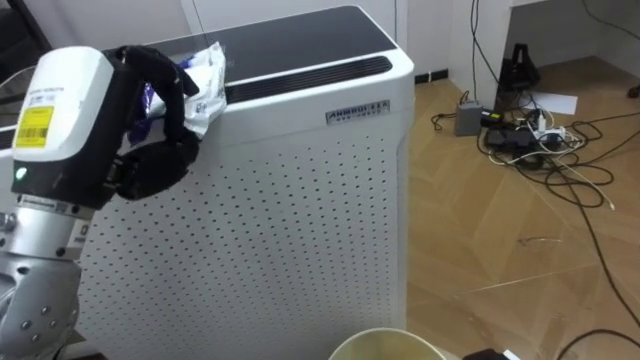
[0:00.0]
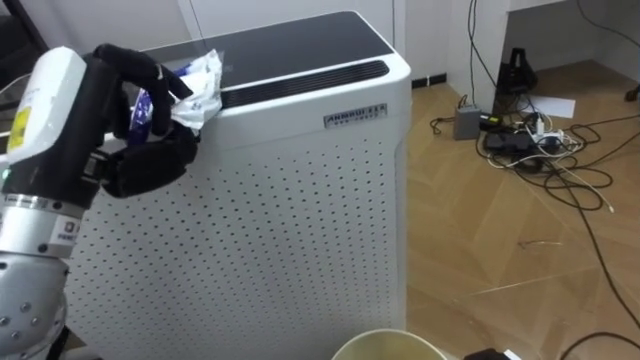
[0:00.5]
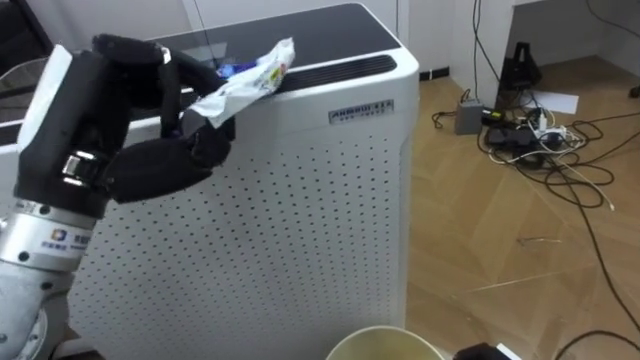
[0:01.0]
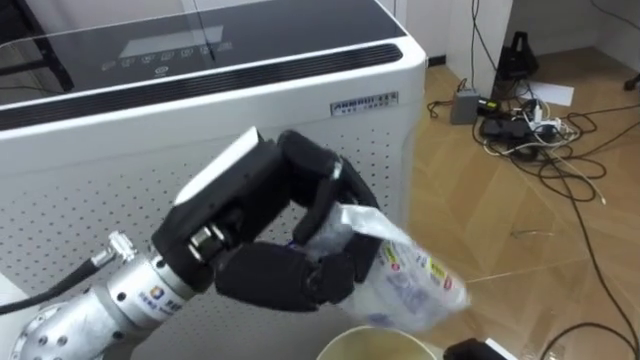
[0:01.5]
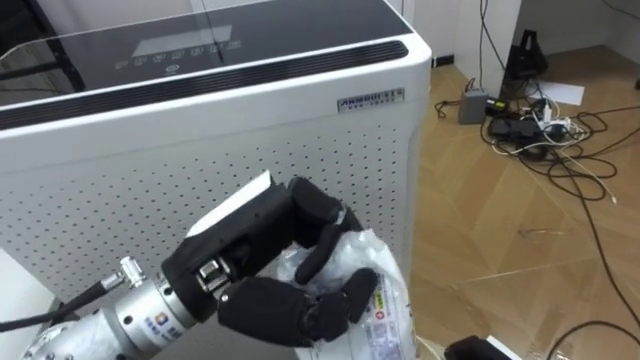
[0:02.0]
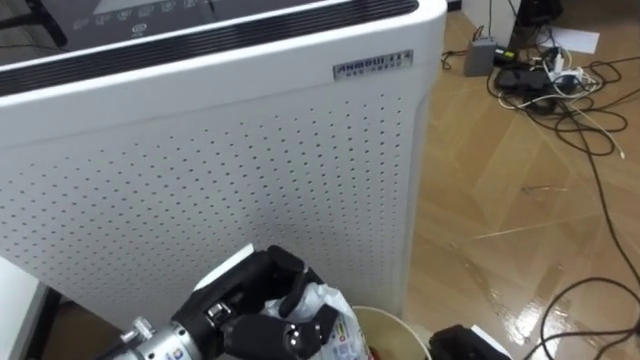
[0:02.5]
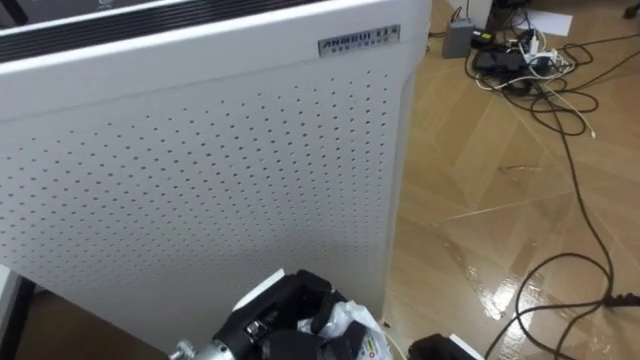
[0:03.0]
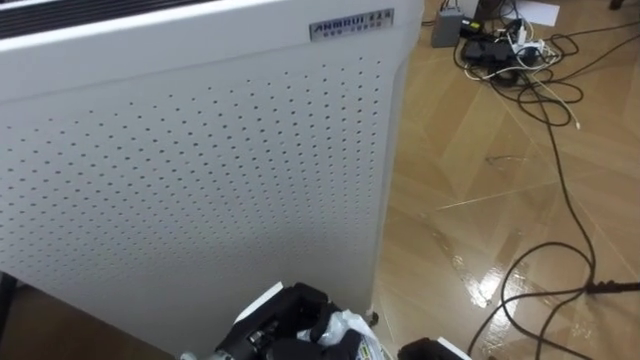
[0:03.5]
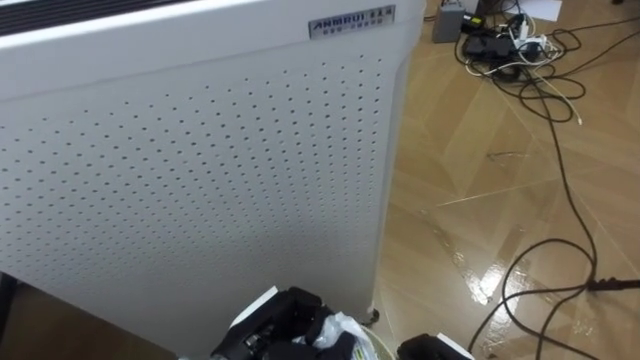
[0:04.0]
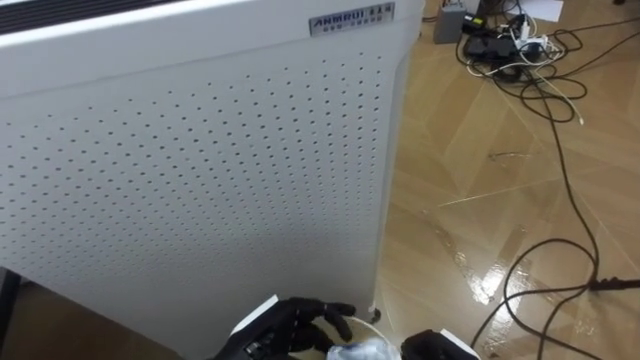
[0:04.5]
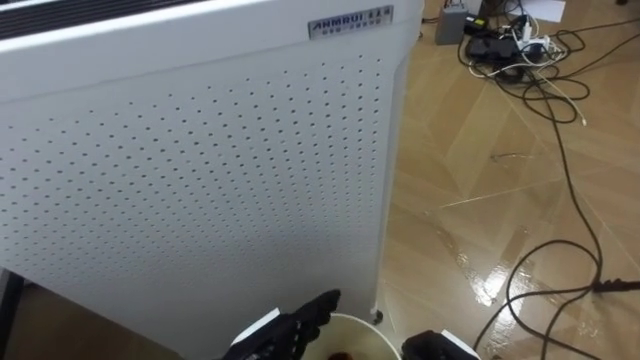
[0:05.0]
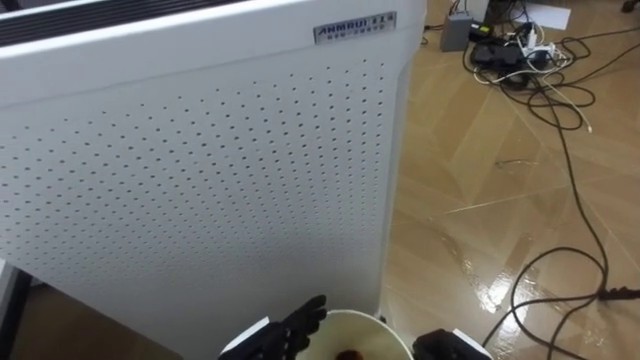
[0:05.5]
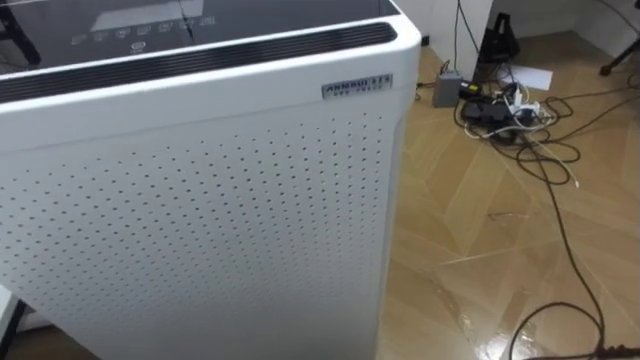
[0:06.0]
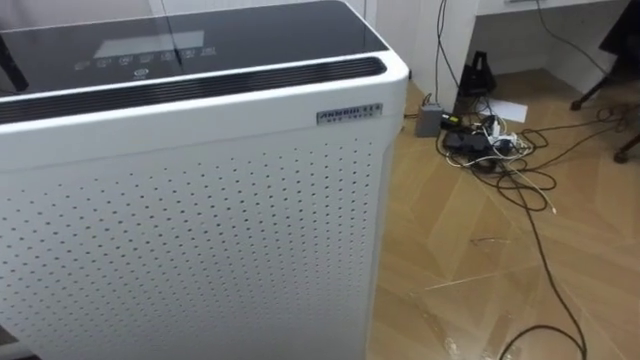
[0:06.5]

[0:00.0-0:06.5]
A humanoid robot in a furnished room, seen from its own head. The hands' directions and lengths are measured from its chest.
Task of the whole recording: Pick up the light blue package, the candy box, and the dark blue package separately, and put them into the trash can held in your right hand.
0:00.0 to 0:02.0: The left hand moves to the right and downward, about 15 cm.
0:02.0 to 0:04.5: The left hand moves downward, roughly 20 cm, and opens its fingers.

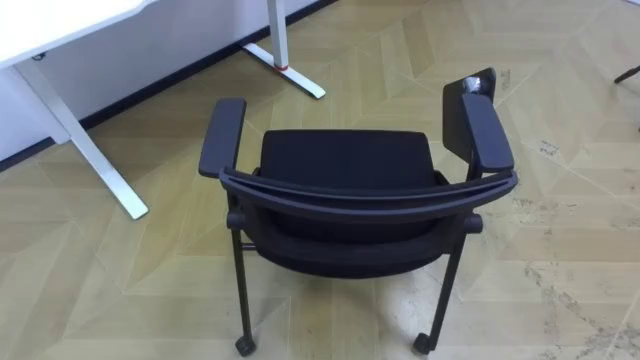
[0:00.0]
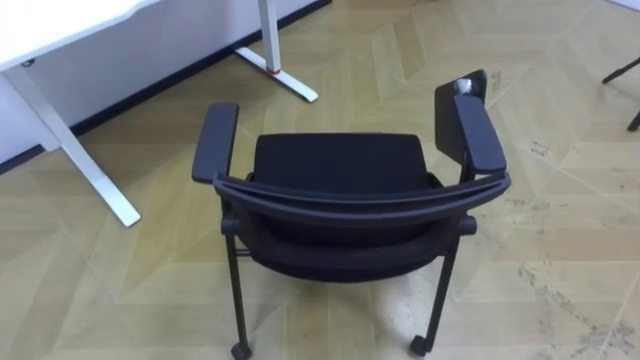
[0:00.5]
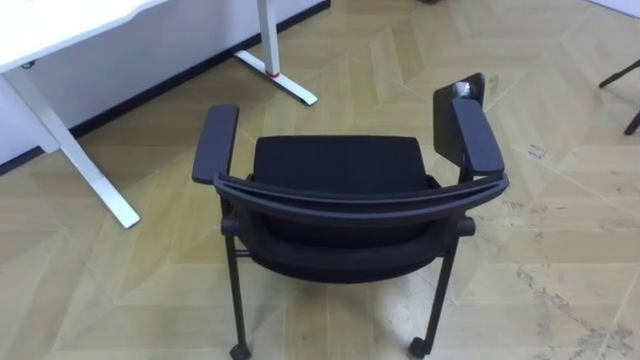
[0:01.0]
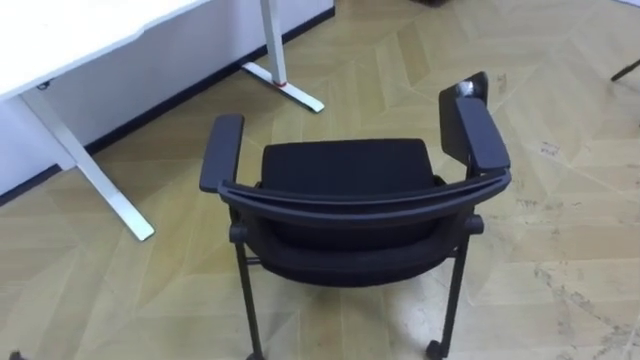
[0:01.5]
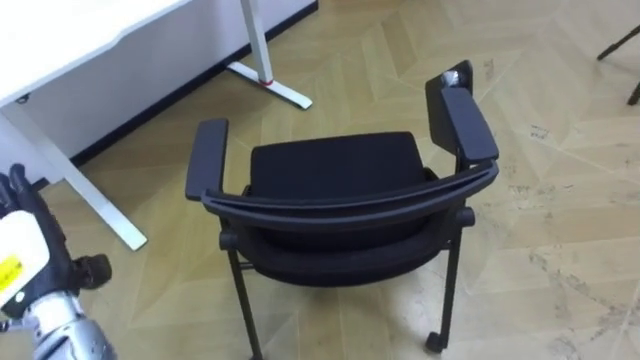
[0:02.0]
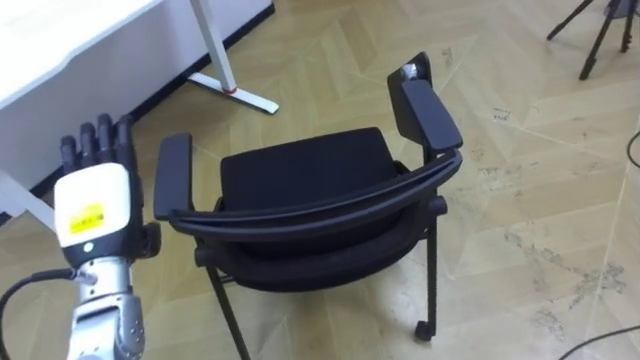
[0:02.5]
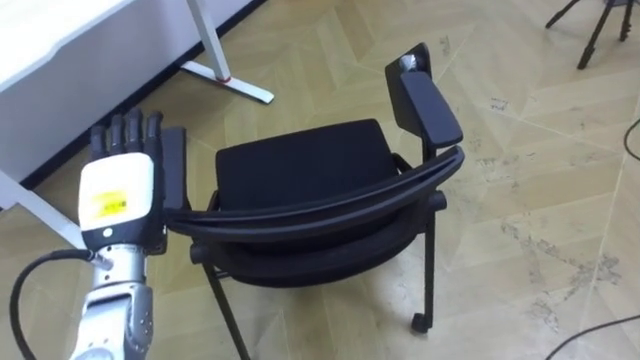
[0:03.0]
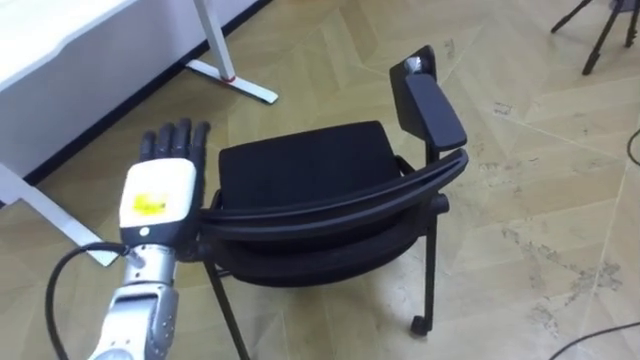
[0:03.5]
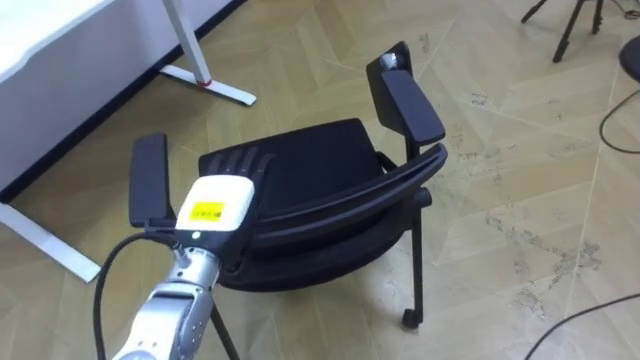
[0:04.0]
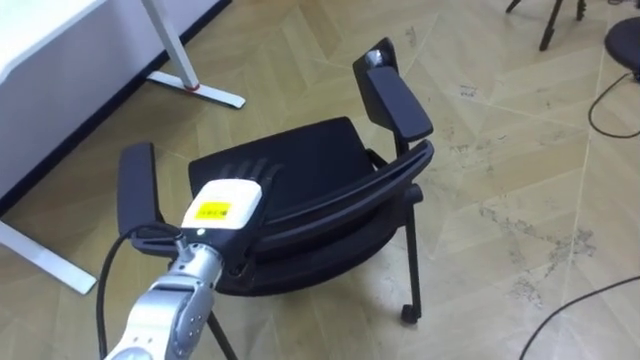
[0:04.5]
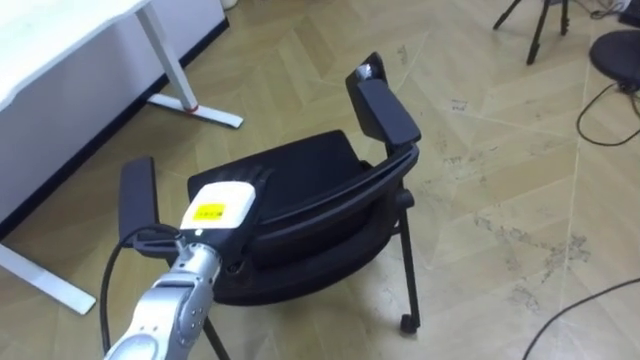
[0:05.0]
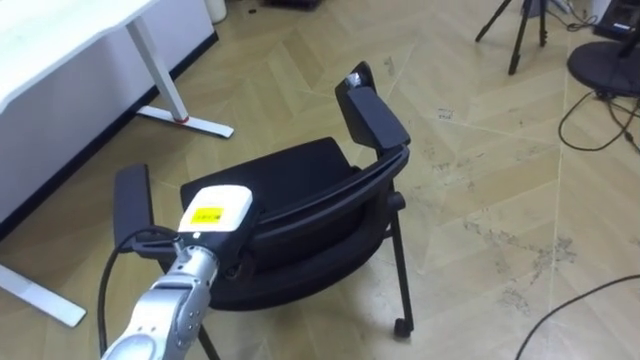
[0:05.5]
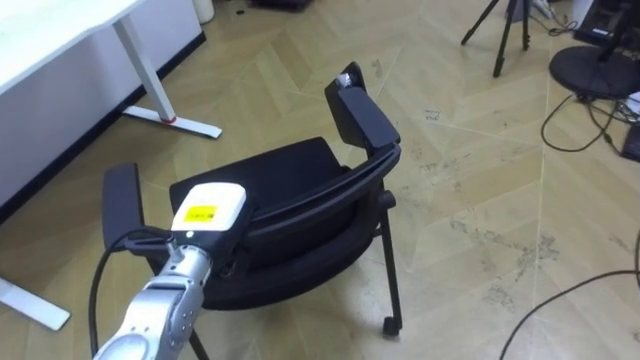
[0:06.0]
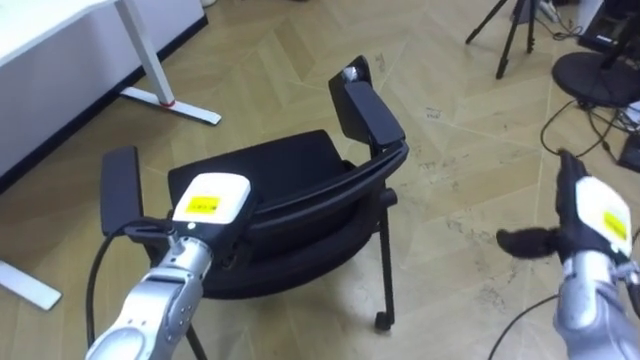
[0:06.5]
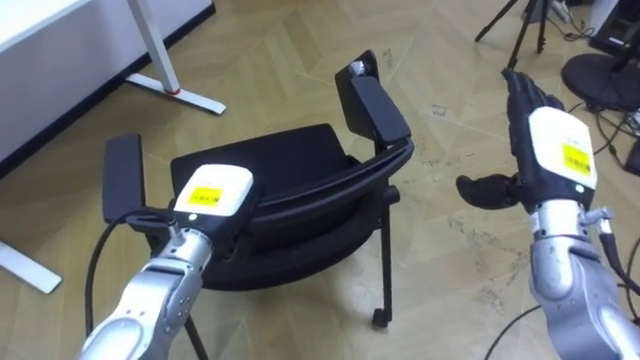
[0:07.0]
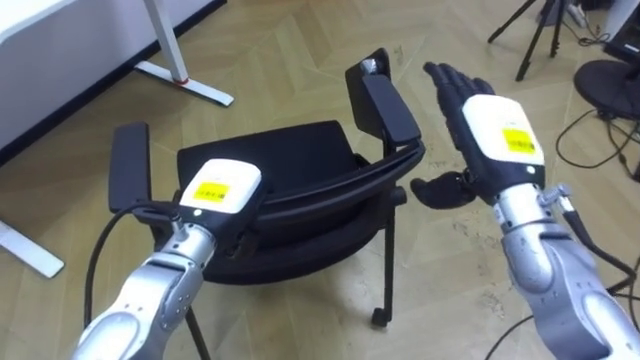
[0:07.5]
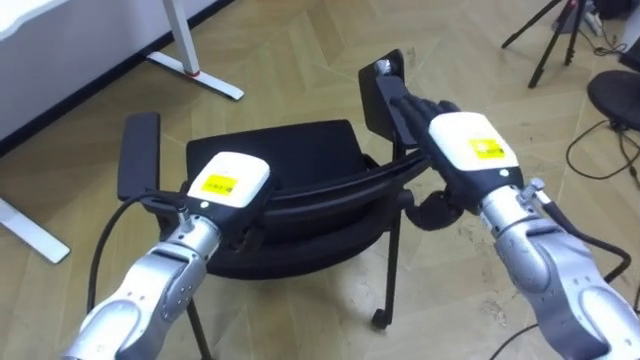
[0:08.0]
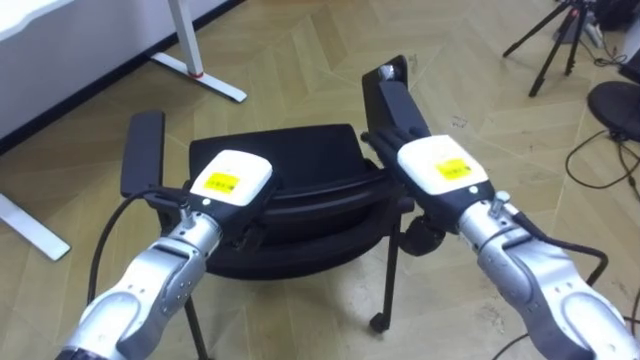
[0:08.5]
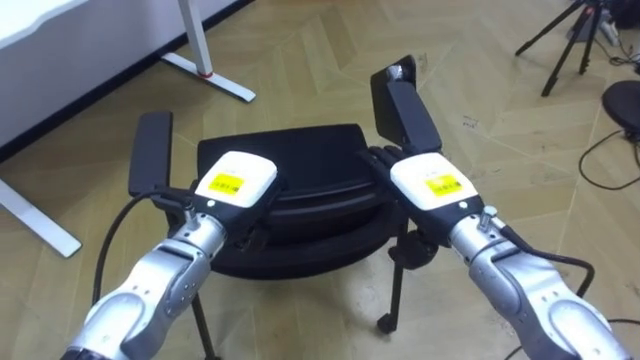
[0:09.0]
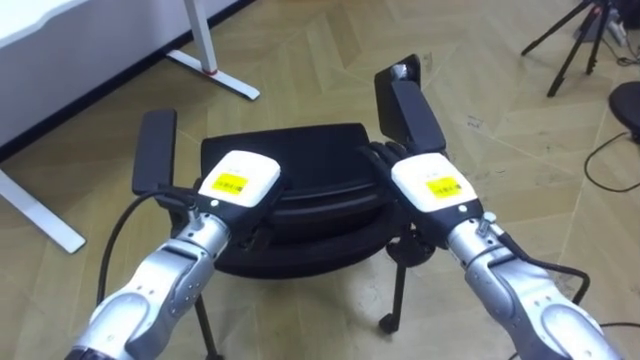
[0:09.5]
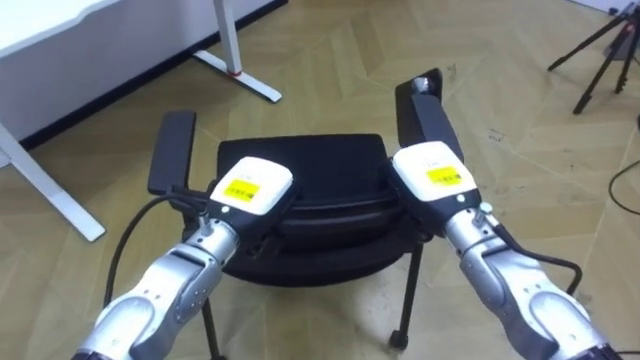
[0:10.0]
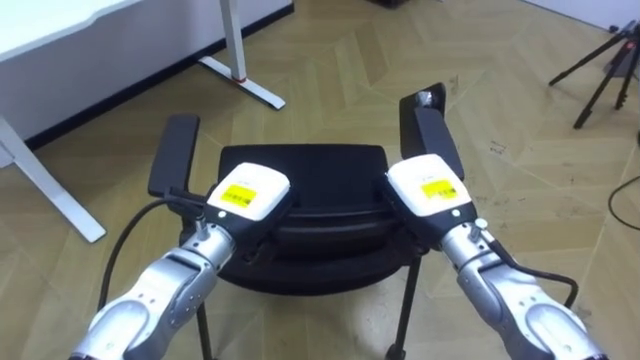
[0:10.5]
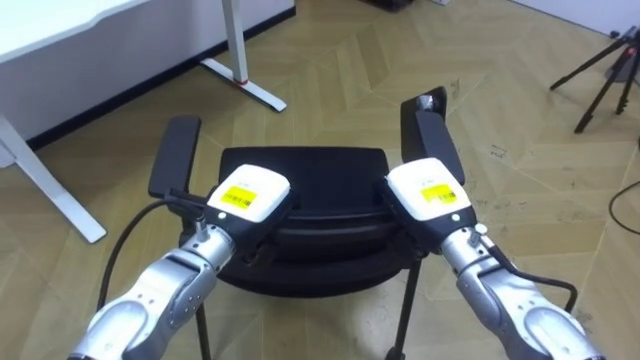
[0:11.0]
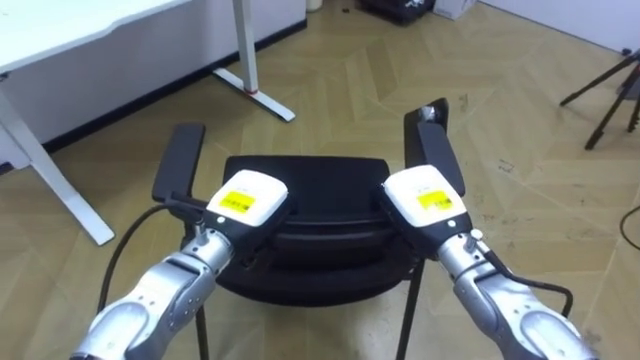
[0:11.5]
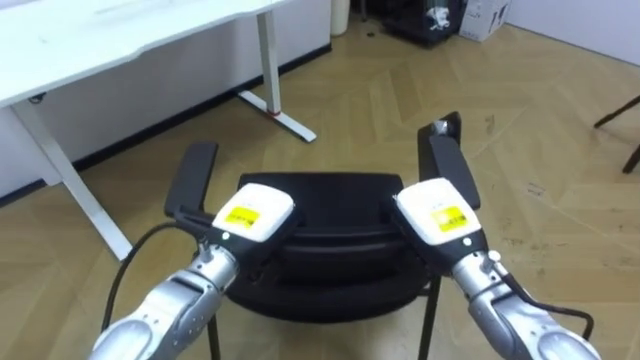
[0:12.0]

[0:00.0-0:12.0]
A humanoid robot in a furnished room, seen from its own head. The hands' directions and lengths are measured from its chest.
Task of the whole recording: Push the chair under the table.
0:02.0 to 0:04.0: The left hand is displaced to the right by approximately 20 cm.
0:04.0 to 0:06.0: The left hand closes.
0:08.0 to 0:10.0: The right hand is displaced downward by some 5 cm, and closes up.
0:10.0 to 0:12.0: The right hand changes place by roughly 5 cm.

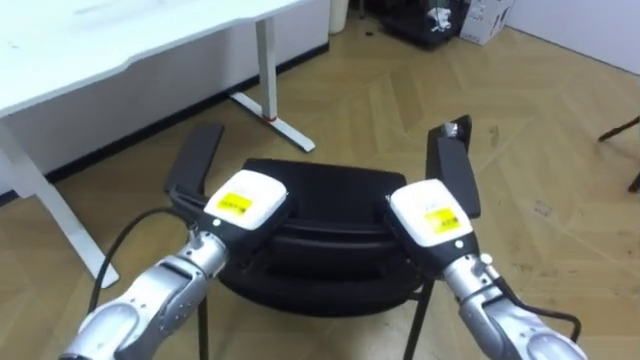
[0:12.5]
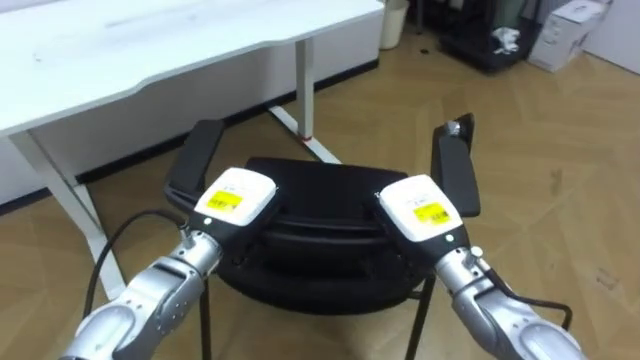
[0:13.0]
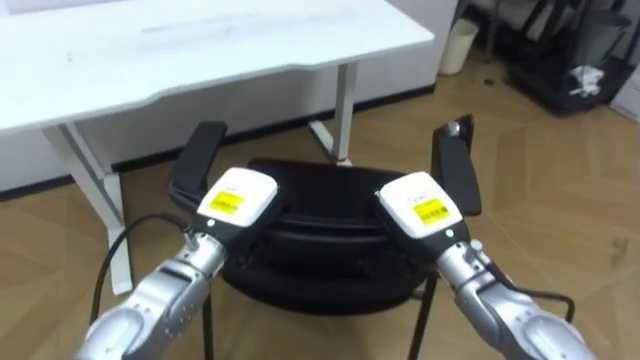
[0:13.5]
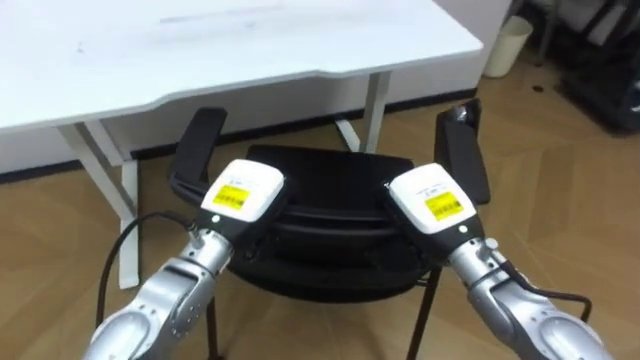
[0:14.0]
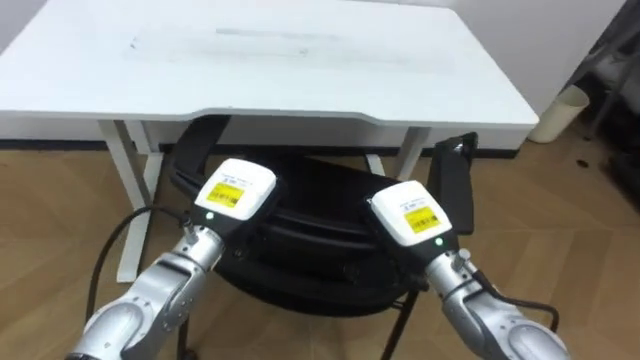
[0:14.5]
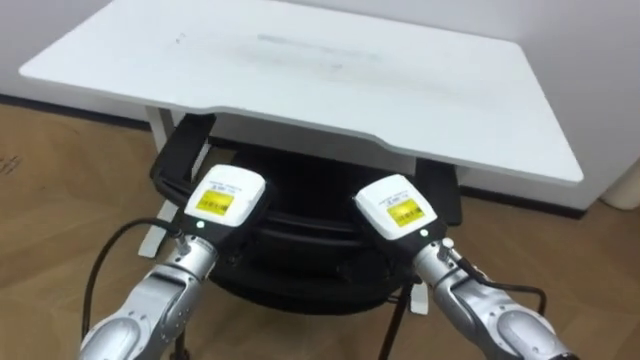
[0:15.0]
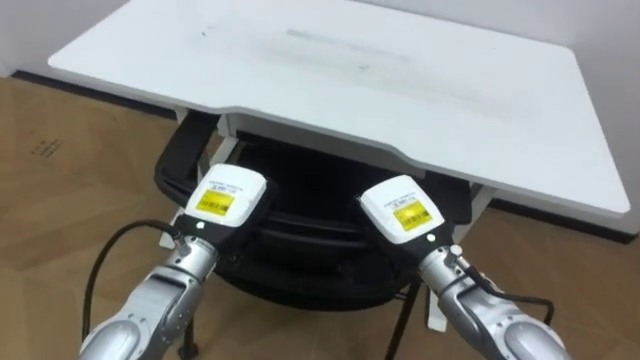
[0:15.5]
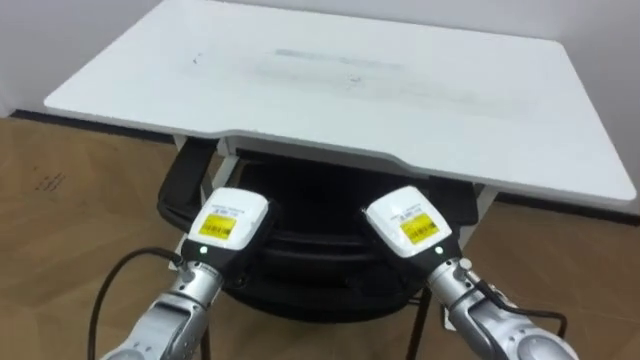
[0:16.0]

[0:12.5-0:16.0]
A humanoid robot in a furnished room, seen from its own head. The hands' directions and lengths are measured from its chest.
Task of the whole recording: Push the chair under the table.
0:12.5 to 0:14.5: The robot faces approximately 35 degrees further to its left.
0:14.5 to 0:16.0: The robot turns to its left by roughly 20 degrees.
